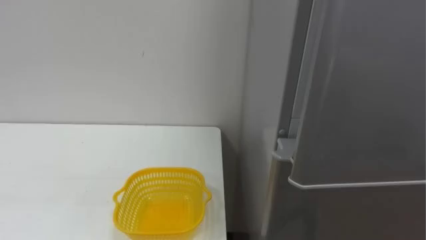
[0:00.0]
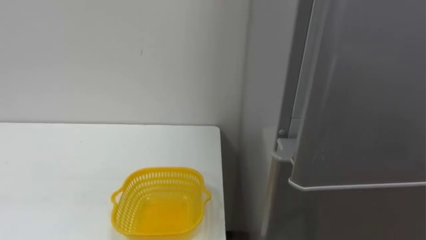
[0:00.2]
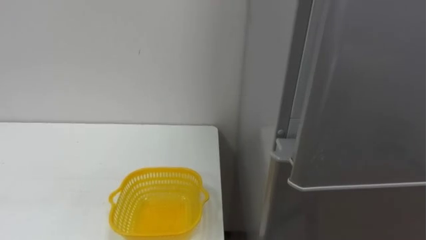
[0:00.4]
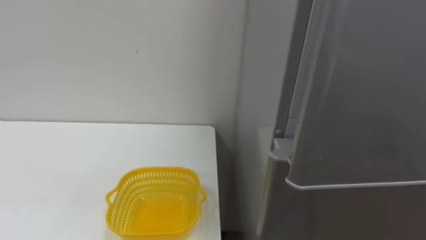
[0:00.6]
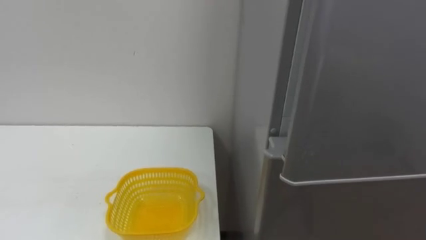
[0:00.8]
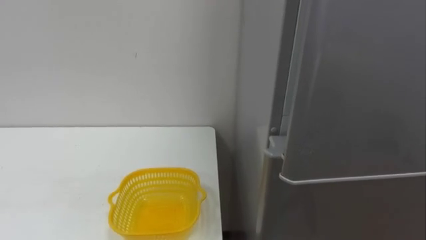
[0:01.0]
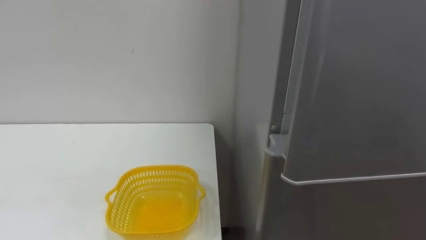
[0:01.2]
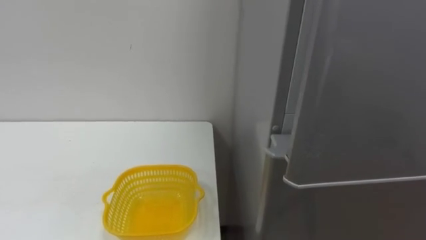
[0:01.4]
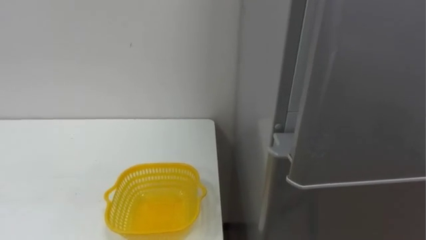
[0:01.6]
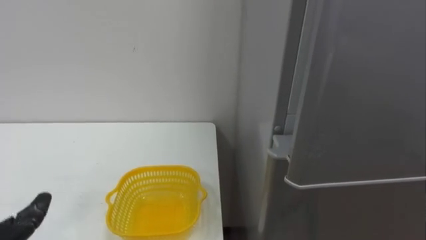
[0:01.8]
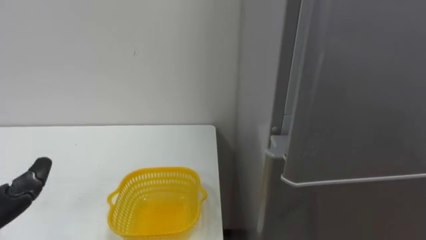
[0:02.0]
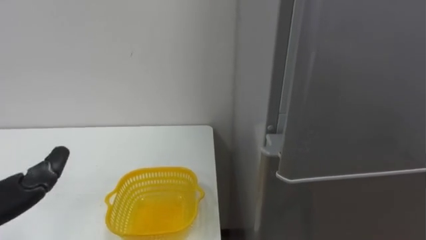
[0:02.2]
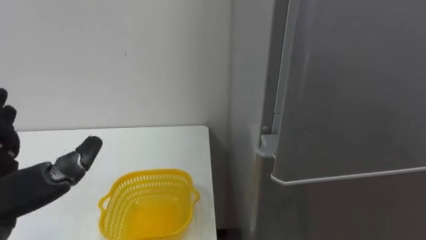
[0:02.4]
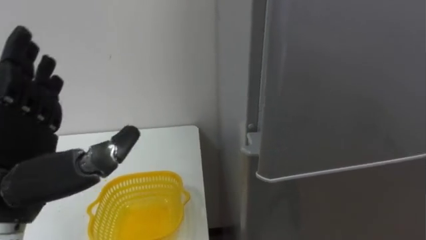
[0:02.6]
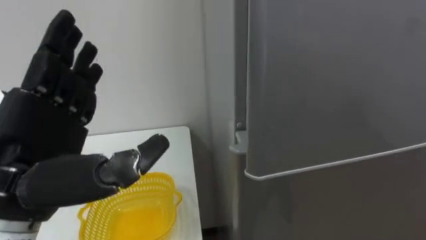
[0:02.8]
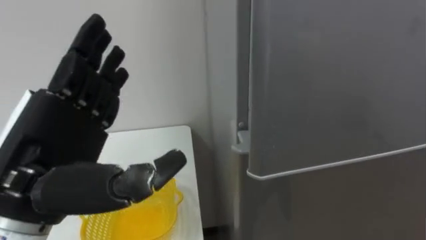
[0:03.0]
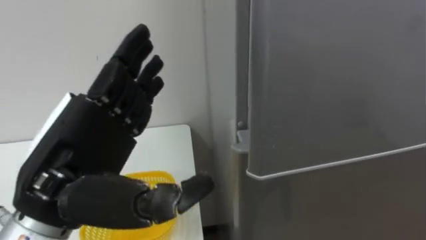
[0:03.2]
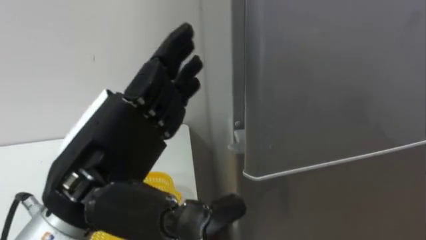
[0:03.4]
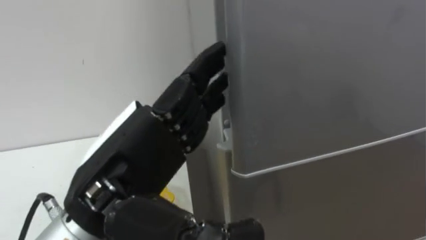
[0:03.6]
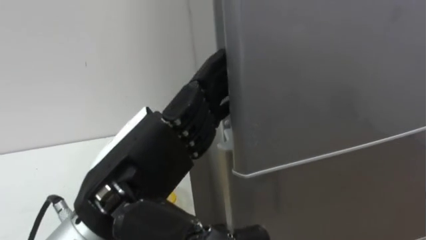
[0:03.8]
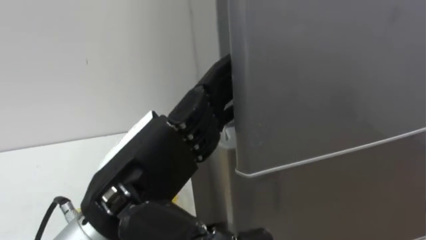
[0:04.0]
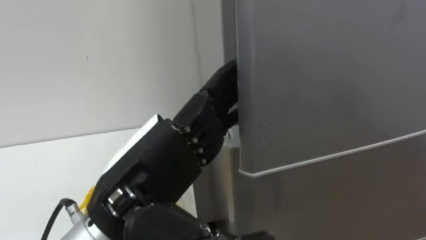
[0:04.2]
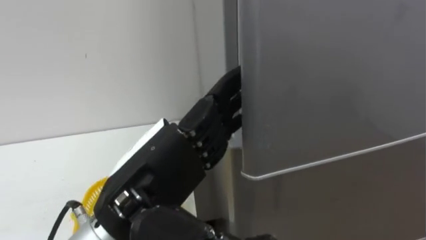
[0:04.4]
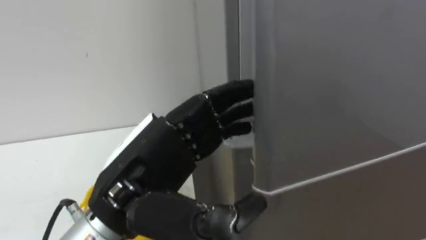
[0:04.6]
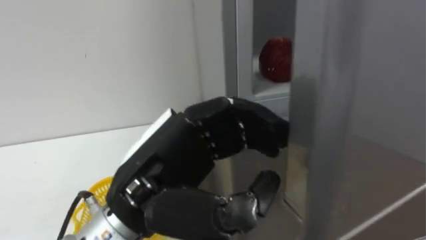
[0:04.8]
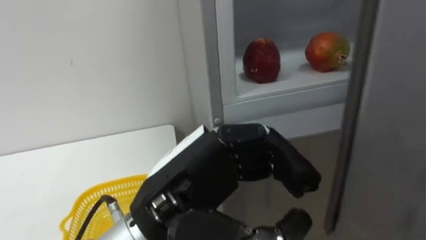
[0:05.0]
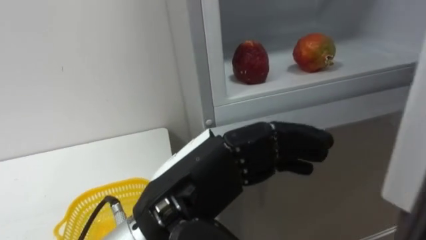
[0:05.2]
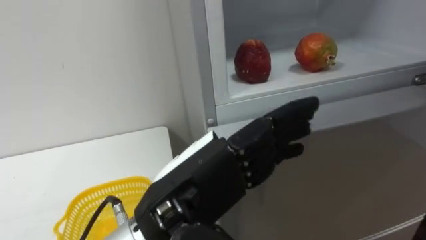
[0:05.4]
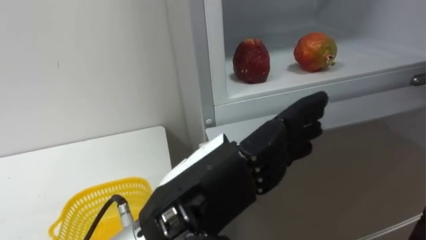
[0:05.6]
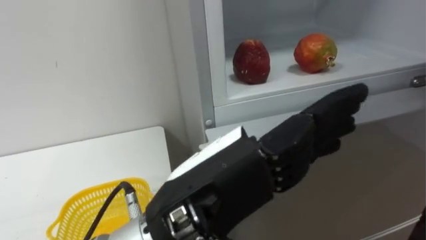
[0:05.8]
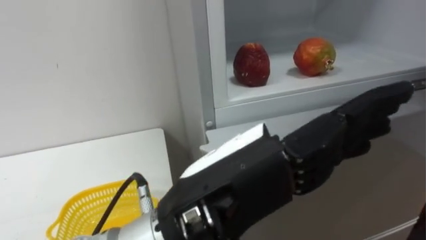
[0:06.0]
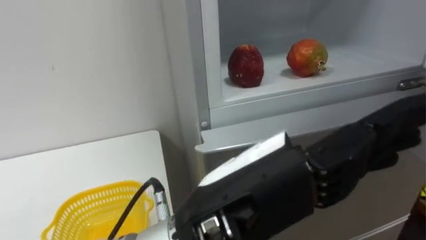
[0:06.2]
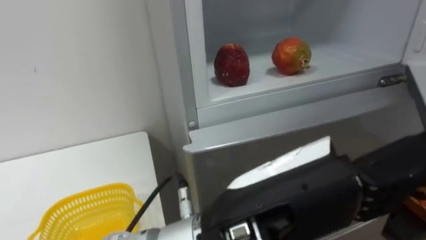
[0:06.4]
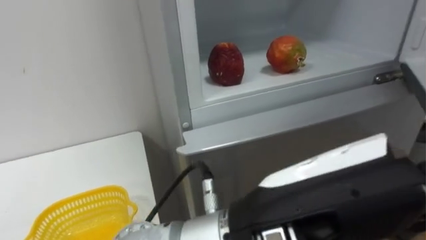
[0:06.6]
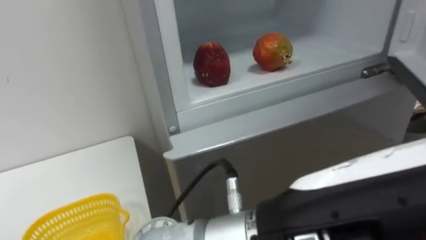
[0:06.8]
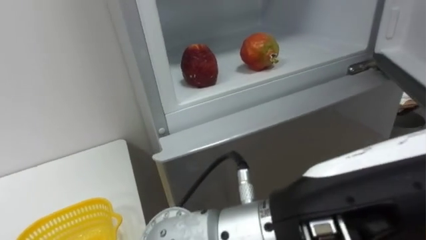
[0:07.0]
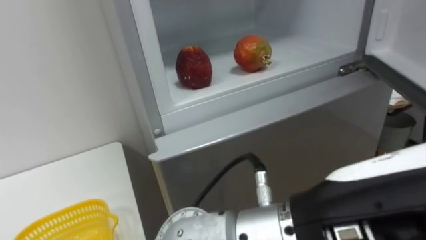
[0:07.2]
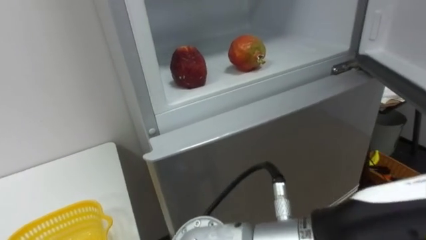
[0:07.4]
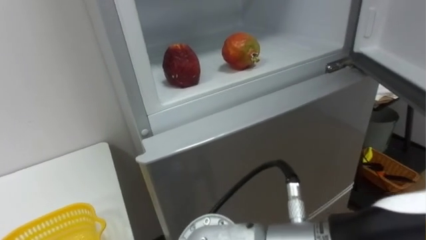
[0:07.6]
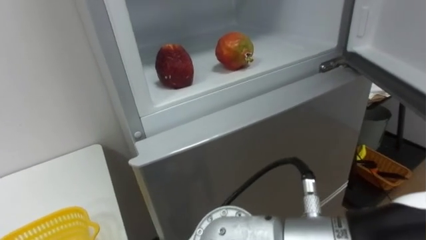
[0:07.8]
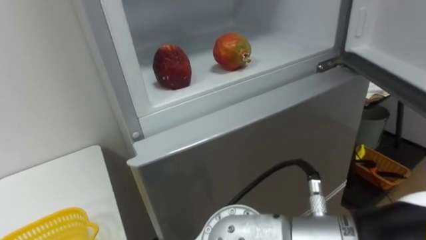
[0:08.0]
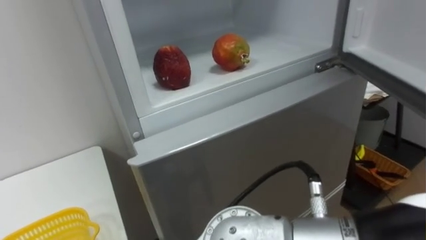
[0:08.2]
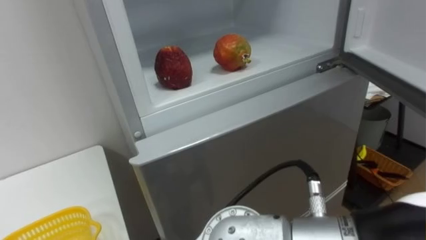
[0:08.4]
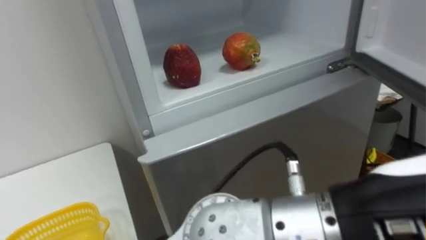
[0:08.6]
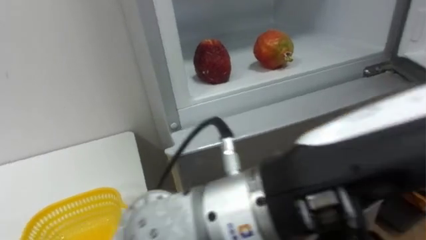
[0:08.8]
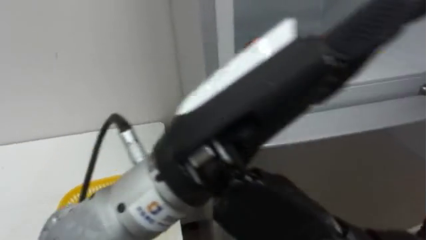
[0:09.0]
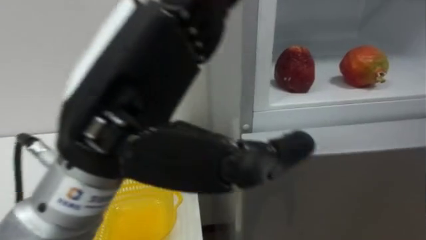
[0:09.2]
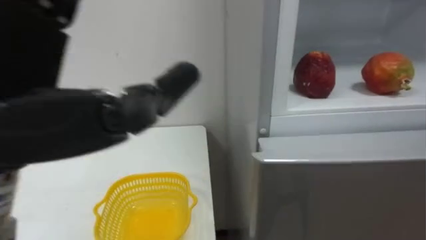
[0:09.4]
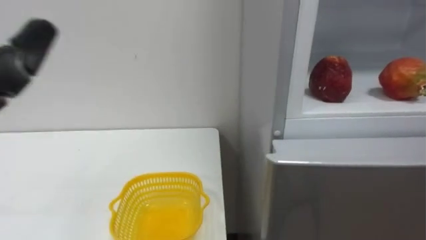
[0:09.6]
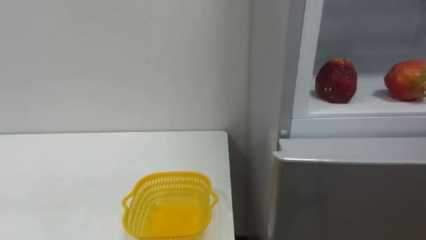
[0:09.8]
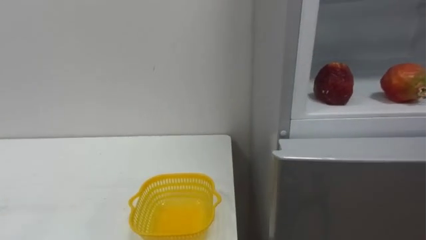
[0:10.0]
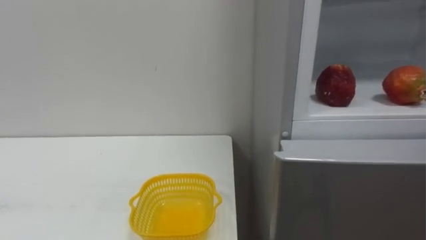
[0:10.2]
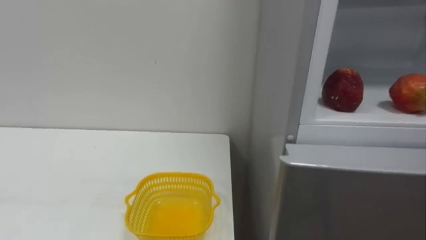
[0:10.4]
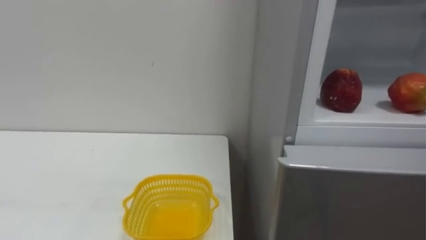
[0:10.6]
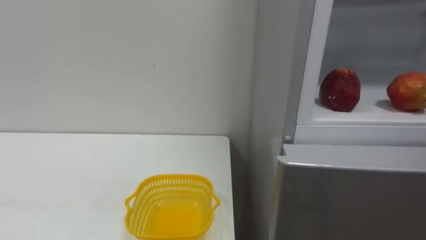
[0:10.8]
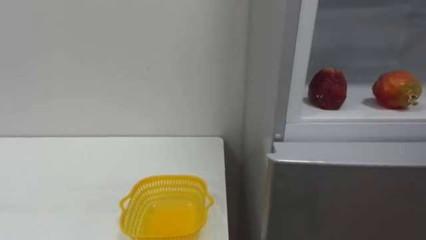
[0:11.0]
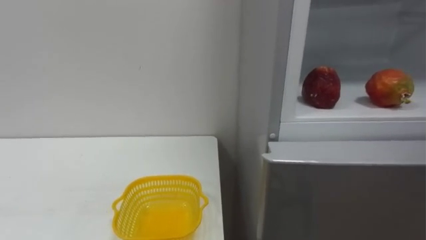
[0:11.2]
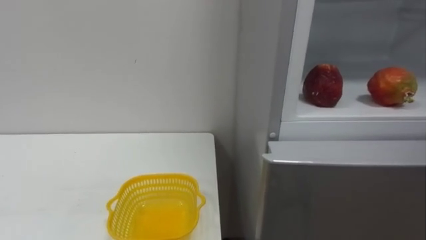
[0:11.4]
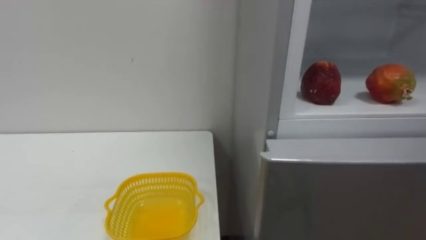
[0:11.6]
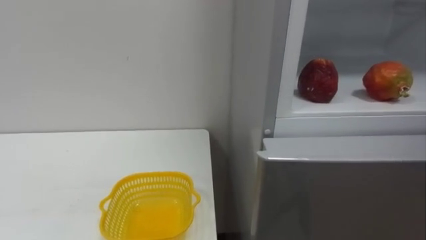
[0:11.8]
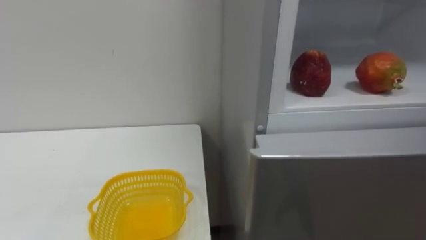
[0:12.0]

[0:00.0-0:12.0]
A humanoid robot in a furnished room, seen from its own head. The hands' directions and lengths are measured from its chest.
Task of the whole recording: Open the refrigerator door, take out the apple and the pomegranate, place them in the fruit basket on the left, and close the refrigerator door.
0:03.0 to 0:04.4: The left hand shifts roughly 10 cm to the right.
0:04.4 to 0:06.0: The left hand travels to the right by approximately 5 cm, and closes and opens again.
0:06.0 to 0:07.6: The left hand moves to the right and backward, approximately 15 cm.
0:07.6 to 0:09.0: The left hand moves to the left and forward, about 10 cm.

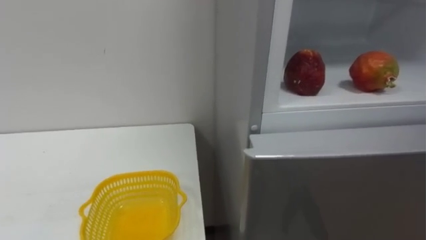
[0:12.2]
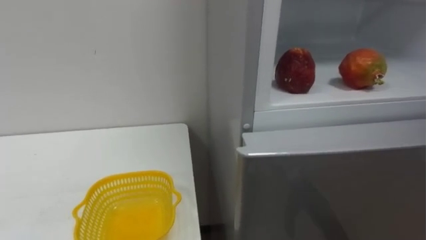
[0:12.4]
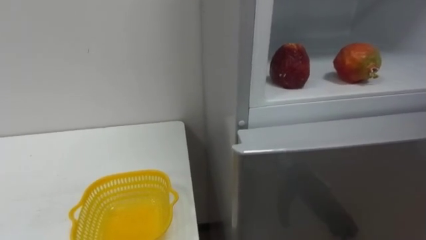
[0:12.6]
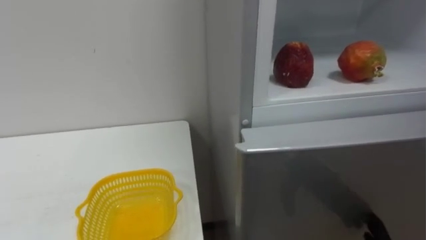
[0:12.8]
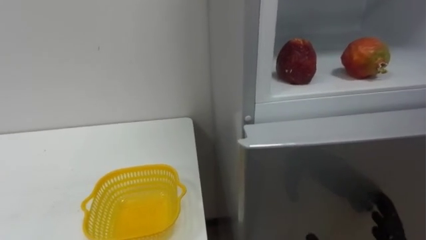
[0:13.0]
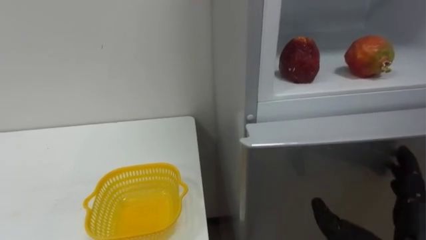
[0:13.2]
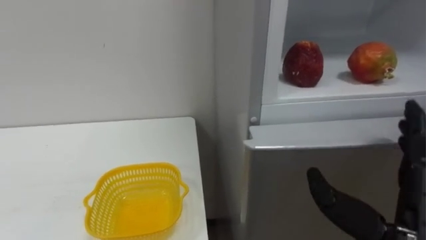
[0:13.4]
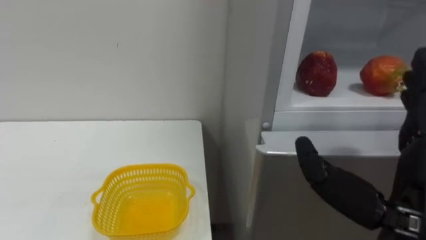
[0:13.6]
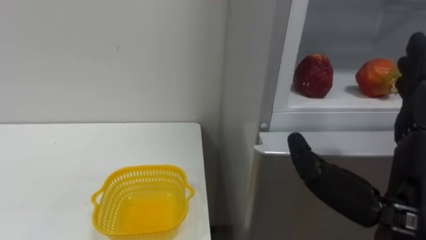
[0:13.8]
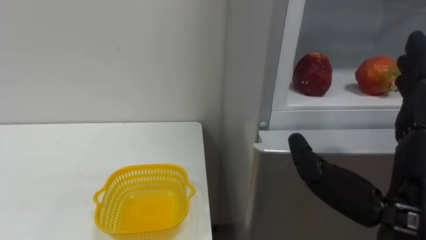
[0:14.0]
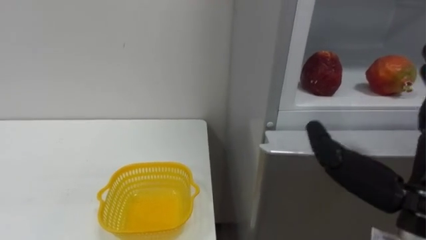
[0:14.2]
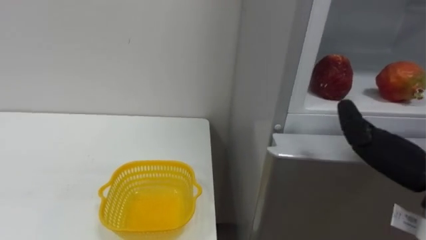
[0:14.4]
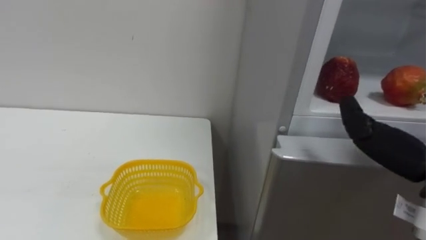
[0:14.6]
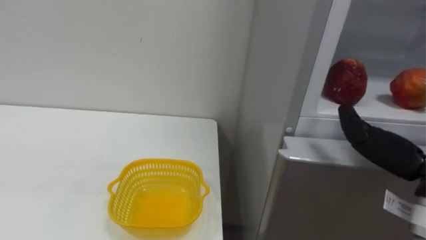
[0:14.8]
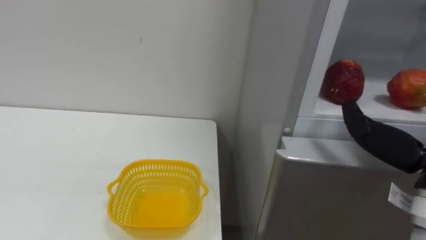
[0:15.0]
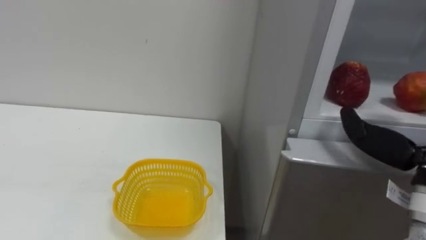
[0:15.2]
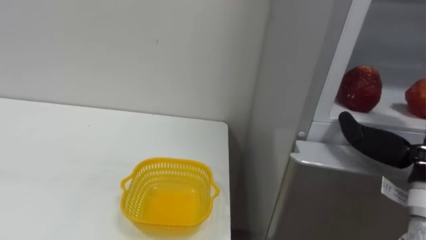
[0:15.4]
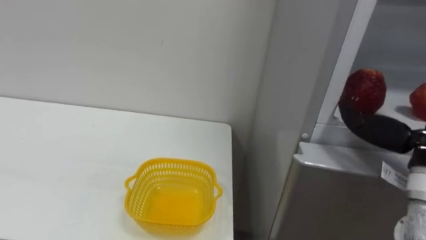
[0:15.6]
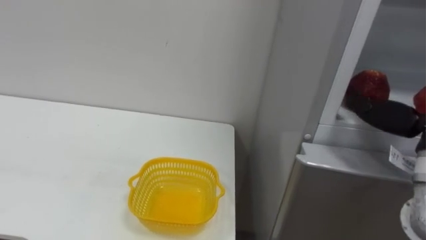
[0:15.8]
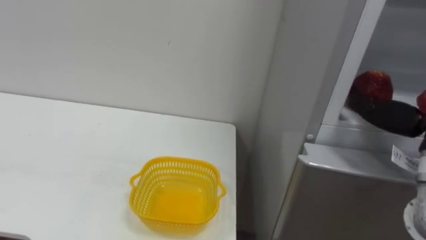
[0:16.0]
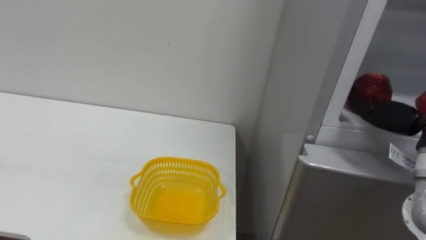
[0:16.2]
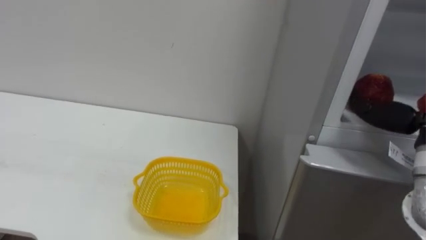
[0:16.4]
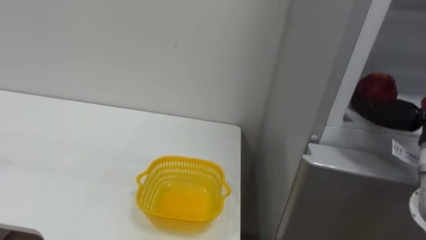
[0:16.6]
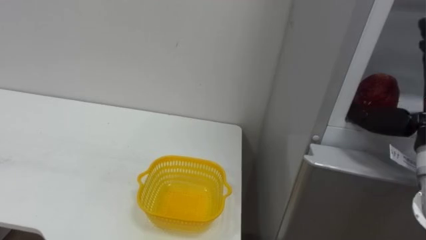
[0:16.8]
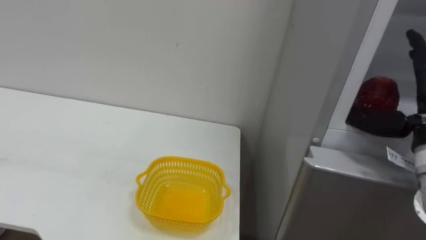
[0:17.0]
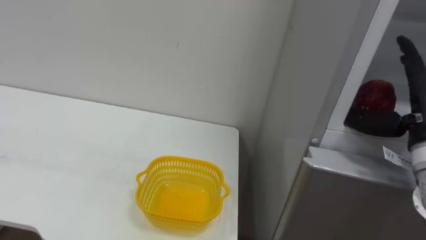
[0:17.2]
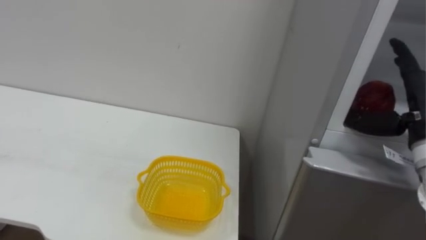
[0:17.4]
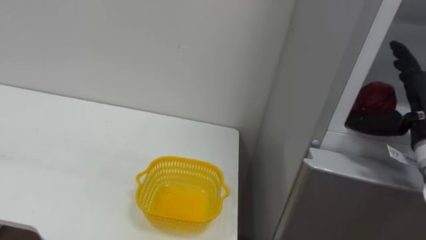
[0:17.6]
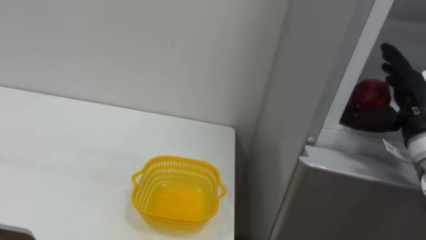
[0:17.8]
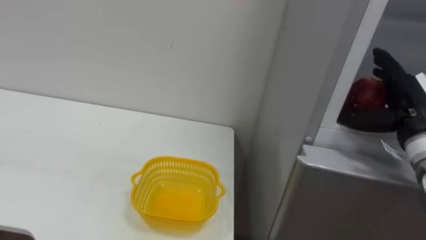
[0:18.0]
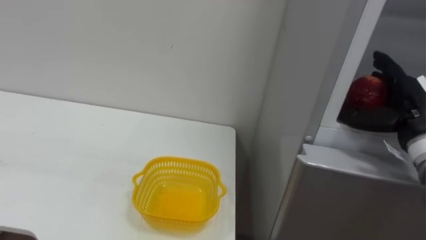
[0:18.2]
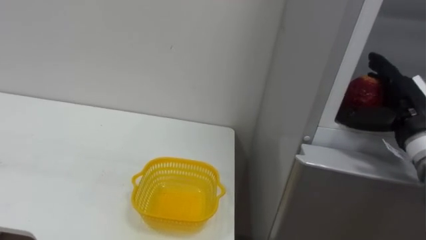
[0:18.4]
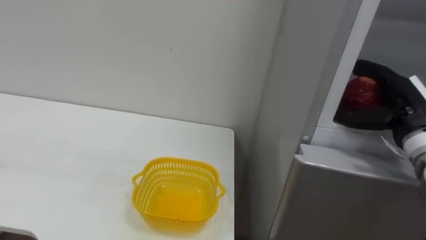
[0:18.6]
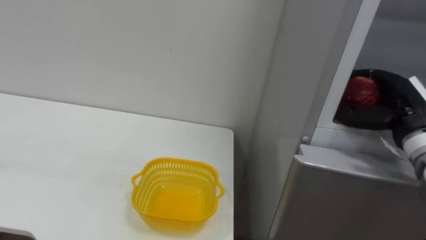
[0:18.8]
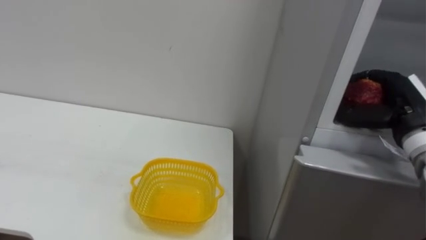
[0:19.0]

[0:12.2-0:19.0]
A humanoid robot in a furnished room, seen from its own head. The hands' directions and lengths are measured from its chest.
Task of the whole recording: Open the refrigerator door, take out the apple and the pomegranate, place them in the fruit basket on the left, and close the refrigerator door.
0:17.6 to 0:19.0: The right hand closes up.
